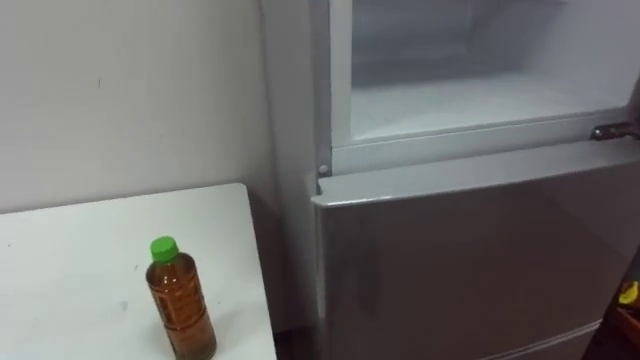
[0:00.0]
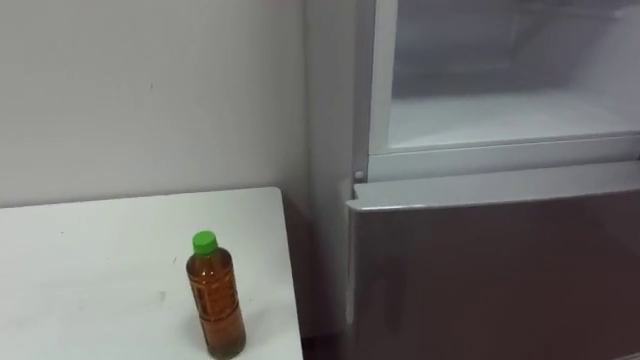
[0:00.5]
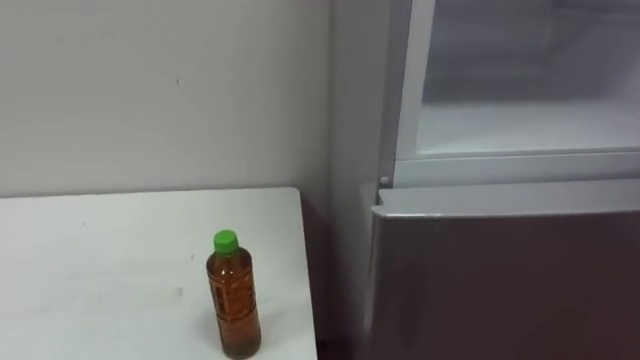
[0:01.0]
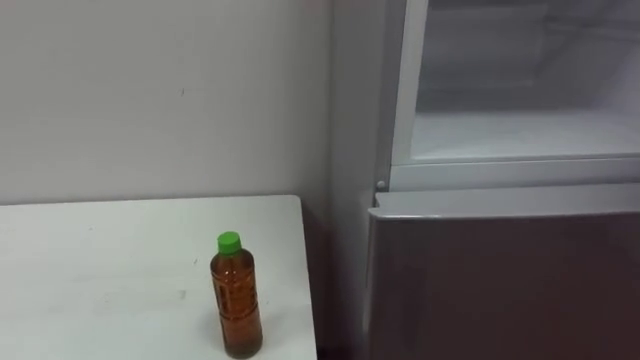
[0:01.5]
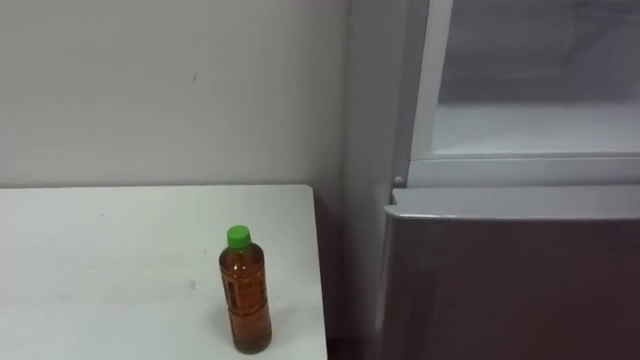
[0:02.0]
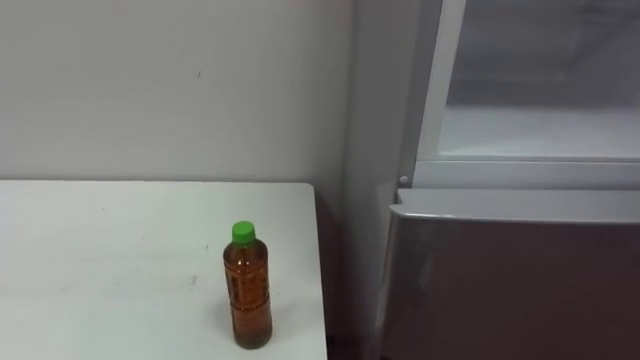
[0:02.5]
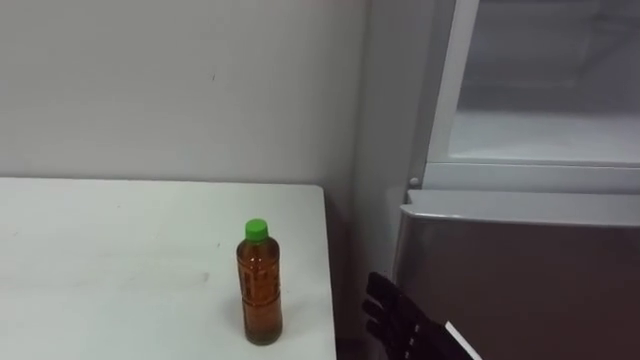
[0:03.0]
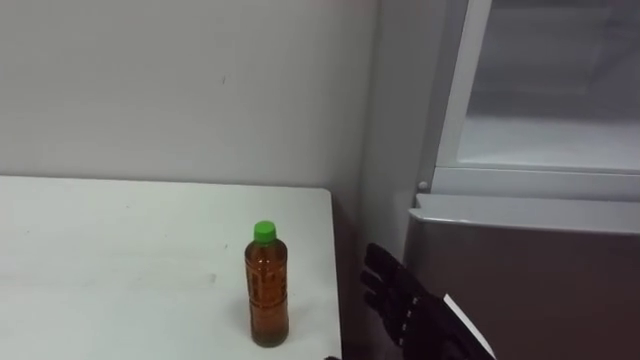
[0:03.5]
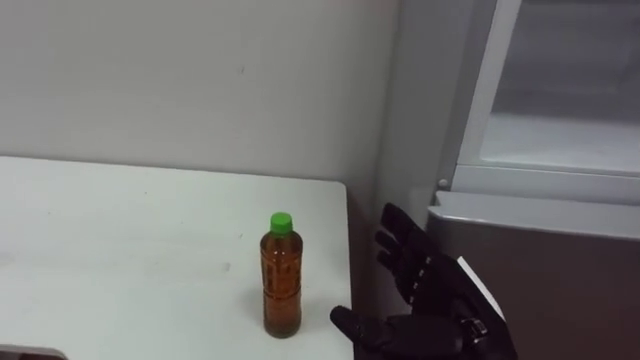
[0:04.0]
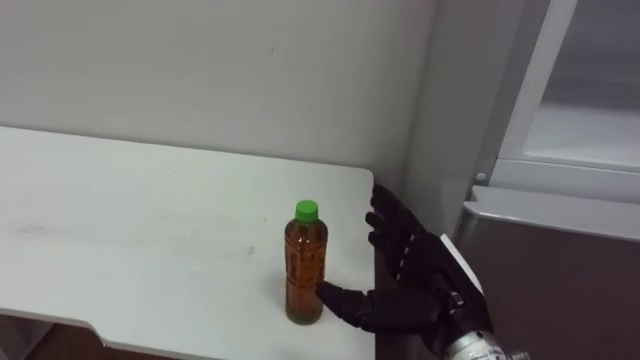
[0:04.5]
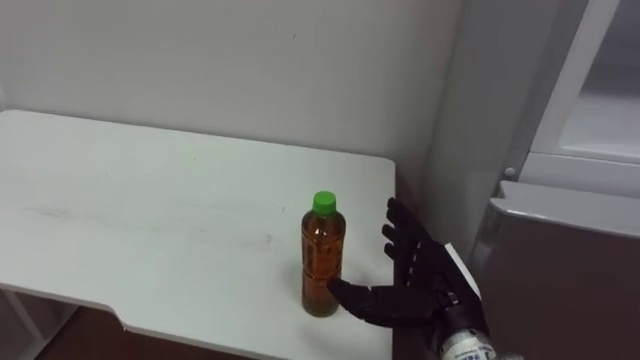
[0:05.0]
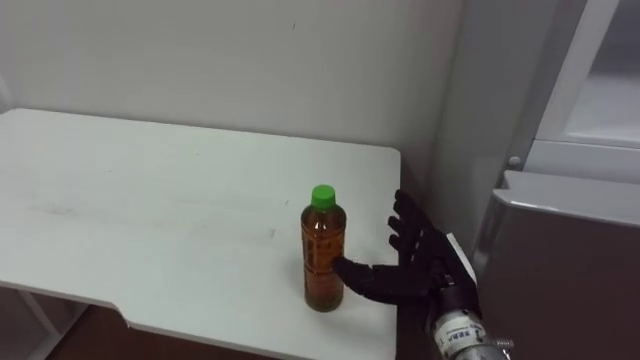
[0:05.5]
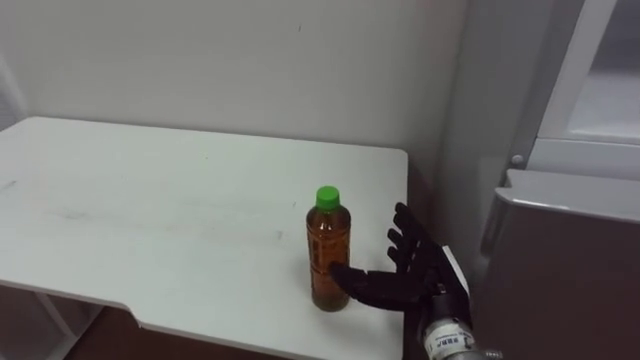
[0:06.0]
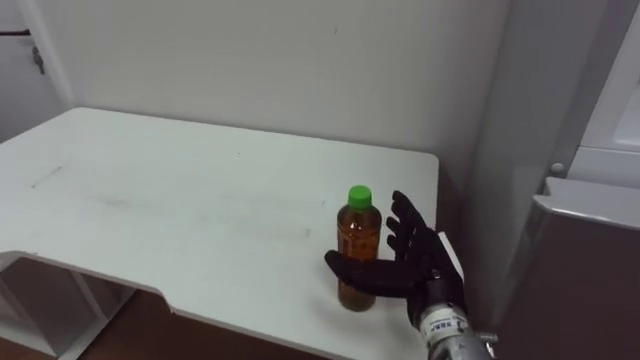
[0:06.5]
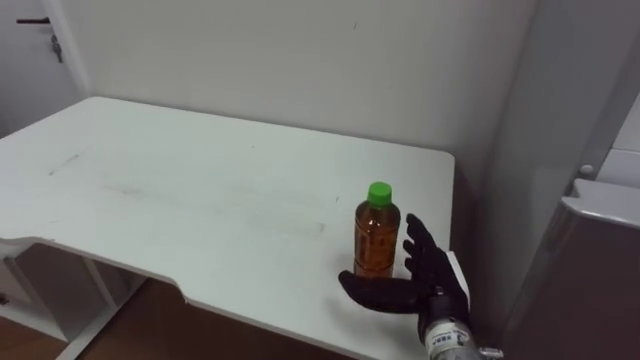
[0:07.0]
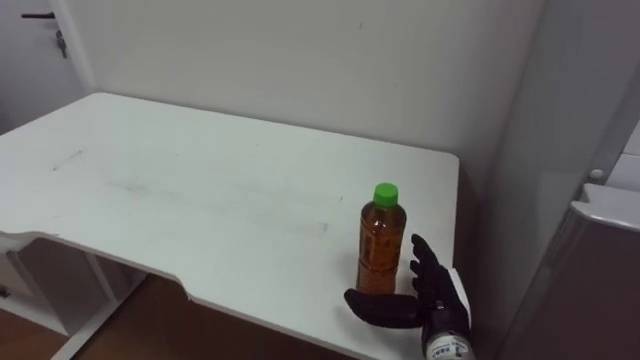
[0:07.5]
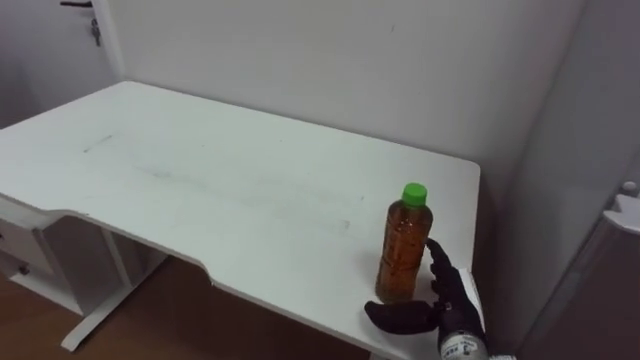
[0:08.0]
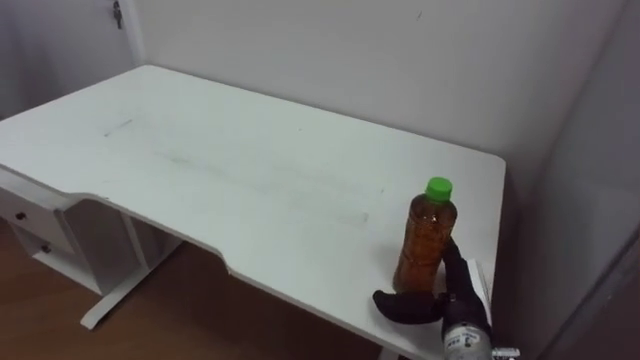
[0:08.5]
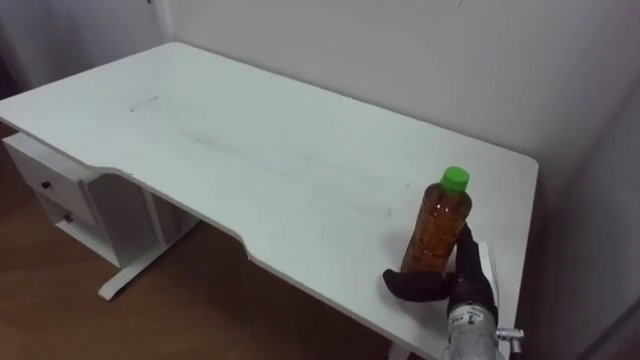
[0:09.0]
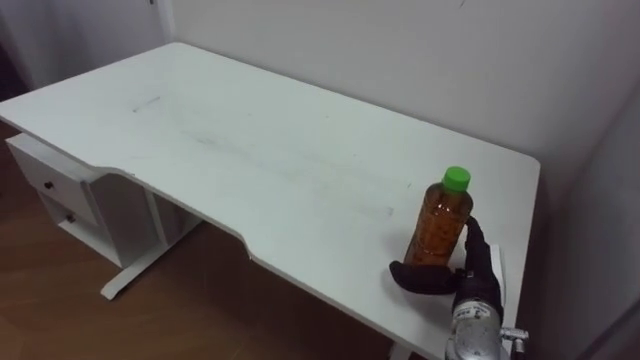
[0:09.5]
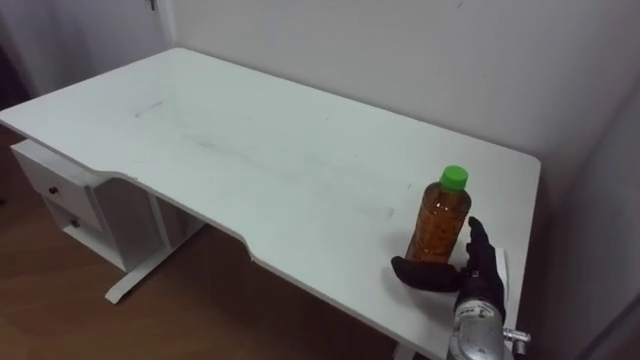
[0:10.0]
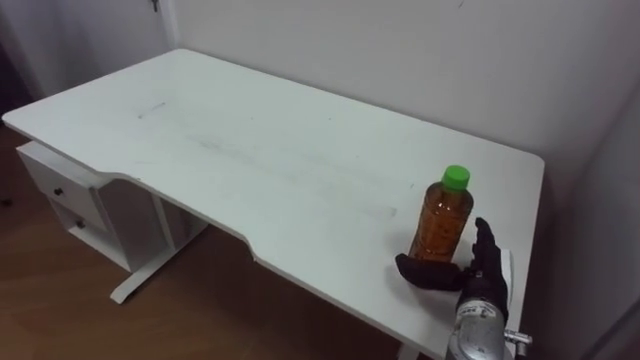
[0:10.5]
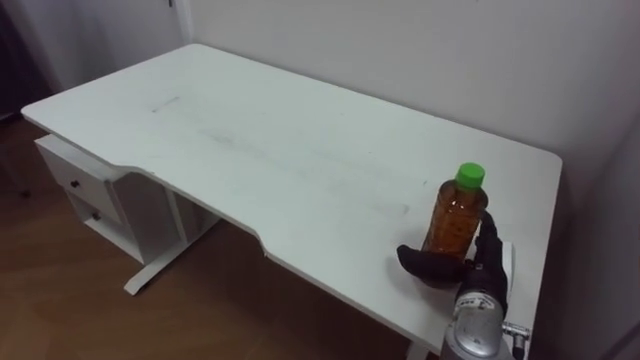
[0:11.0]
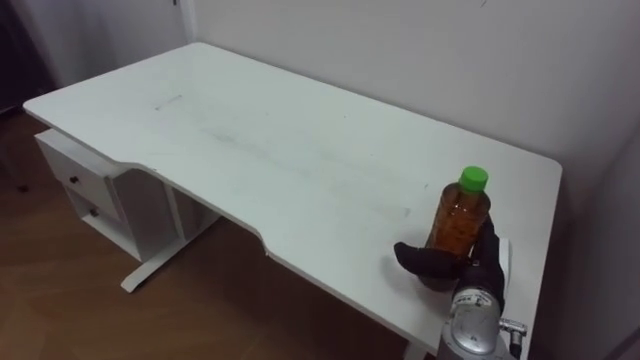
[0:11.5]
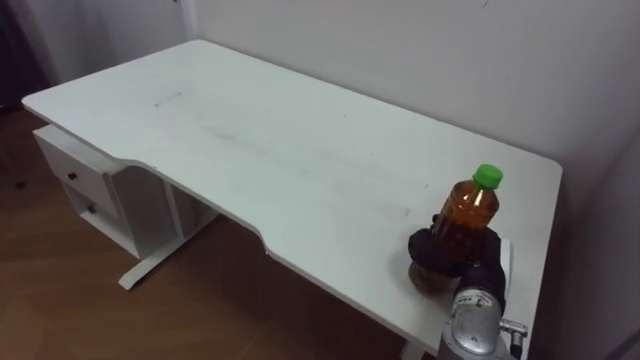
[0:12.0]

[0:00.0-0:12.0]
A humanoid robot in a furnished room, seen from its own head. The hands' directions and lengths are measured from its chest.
Task of the whole recording: Open the upper refrigerator door, put the drink from the table into the refrigerator, and then close the refrigerator door.
0:04.0 to 0:06.0: The right hand is displaced forward by roughly 5 cm.
0:06.0 to 0:08.0: The right hand moves downward, roughly 5 cm.
0:10.0 to 0:12.0: The right hand closes its fingers.

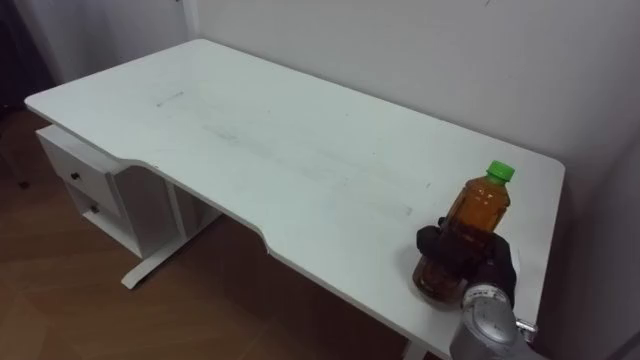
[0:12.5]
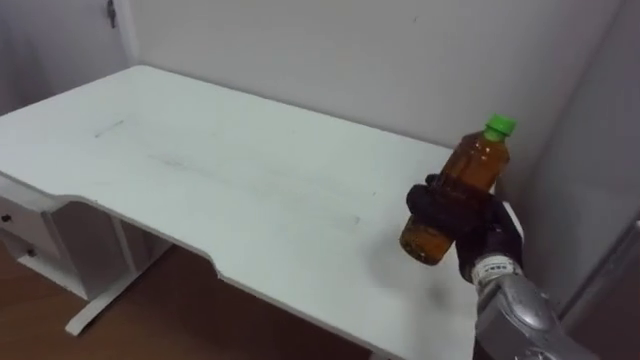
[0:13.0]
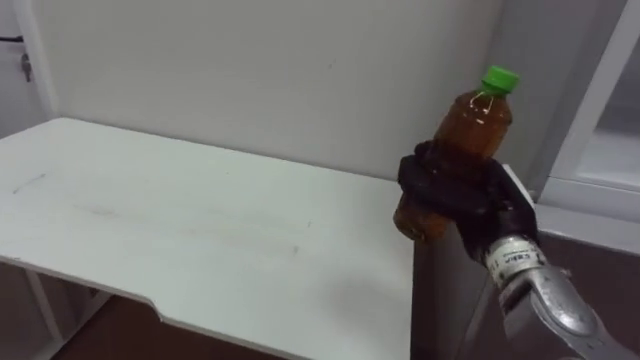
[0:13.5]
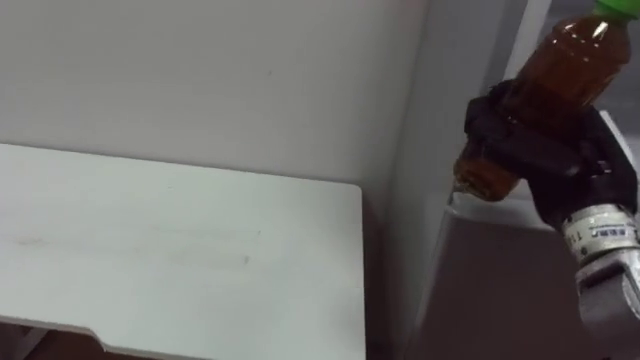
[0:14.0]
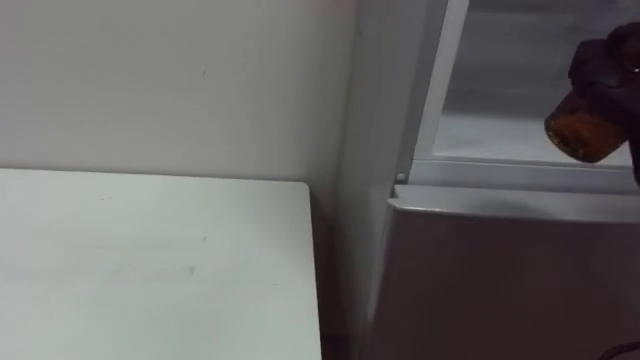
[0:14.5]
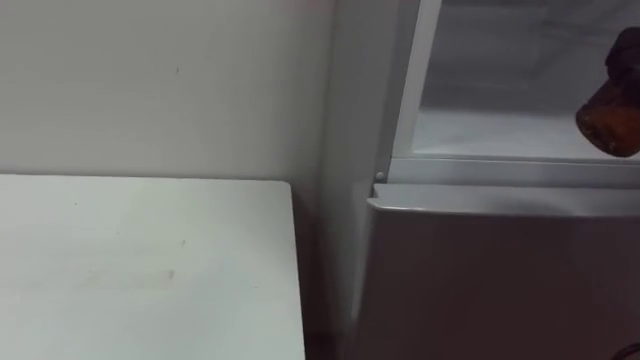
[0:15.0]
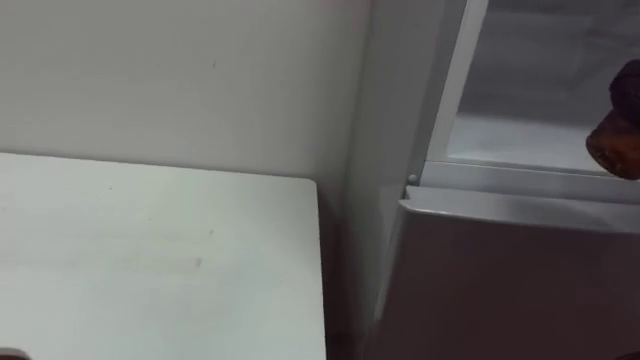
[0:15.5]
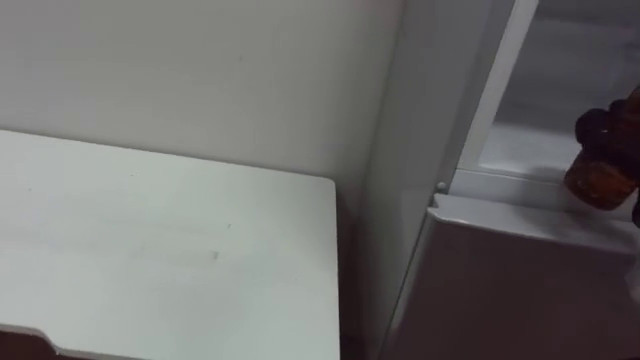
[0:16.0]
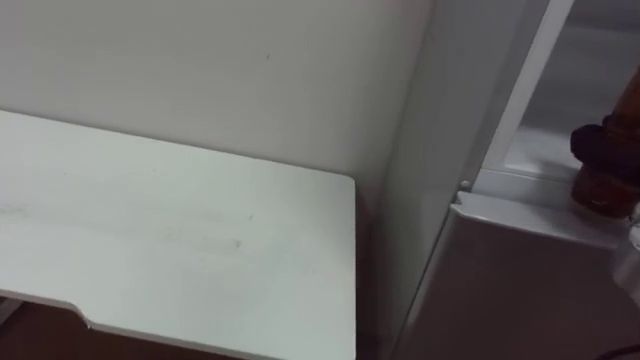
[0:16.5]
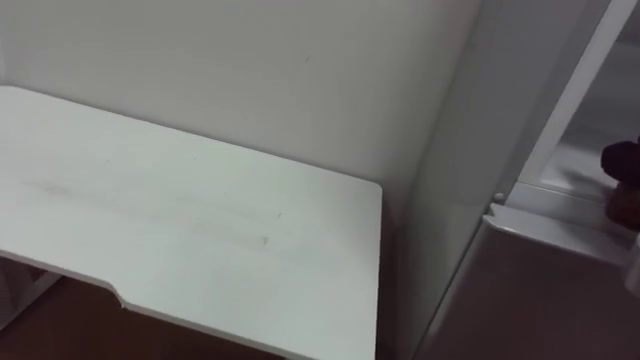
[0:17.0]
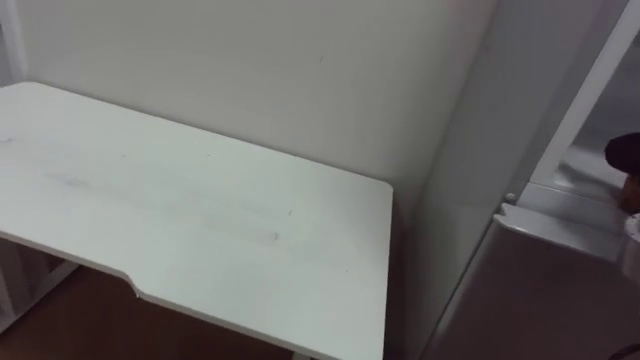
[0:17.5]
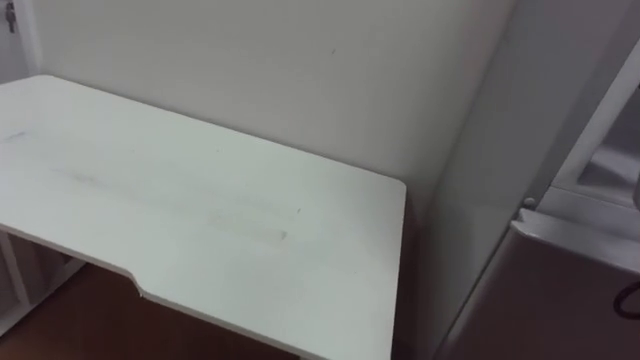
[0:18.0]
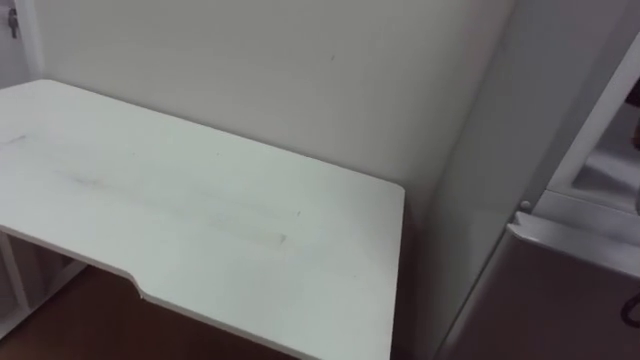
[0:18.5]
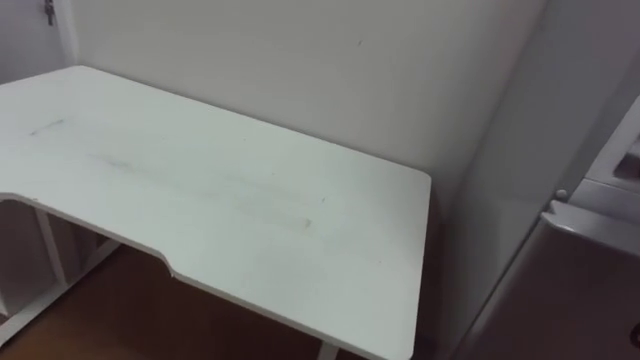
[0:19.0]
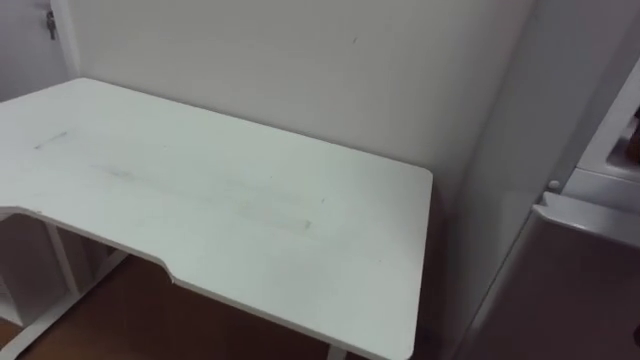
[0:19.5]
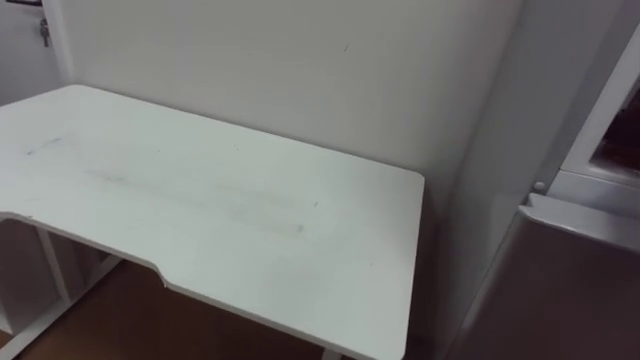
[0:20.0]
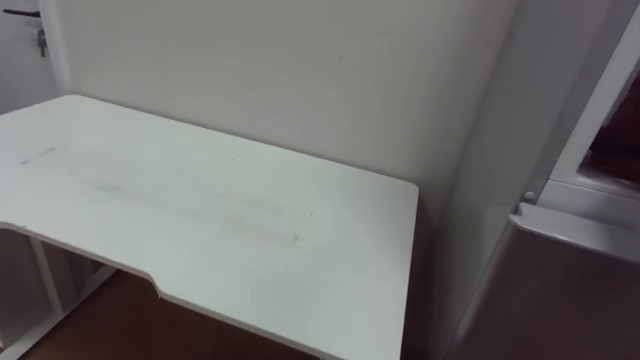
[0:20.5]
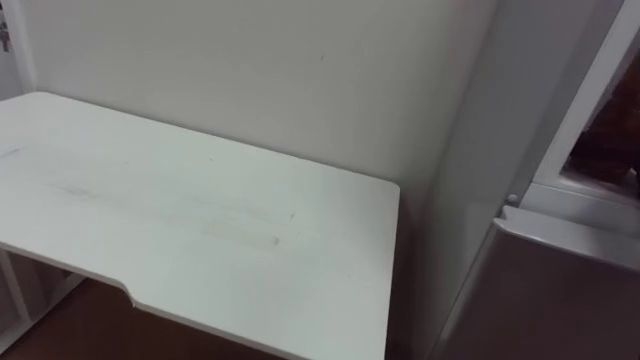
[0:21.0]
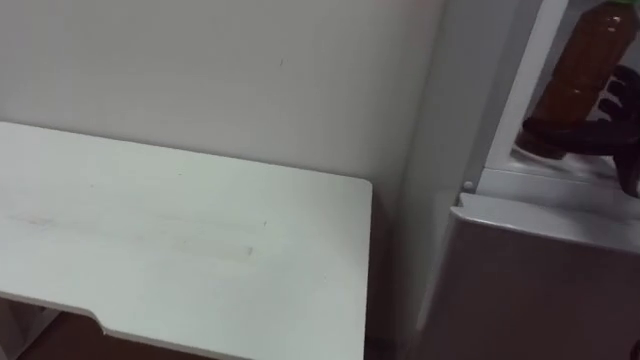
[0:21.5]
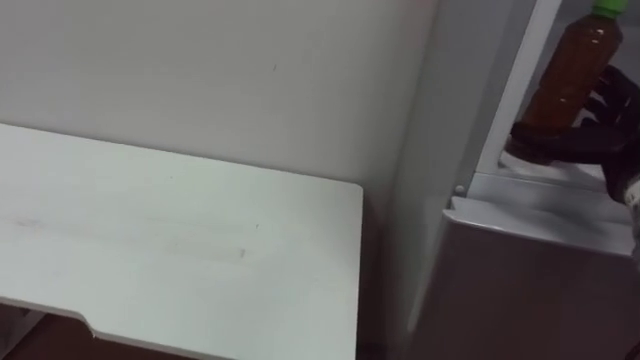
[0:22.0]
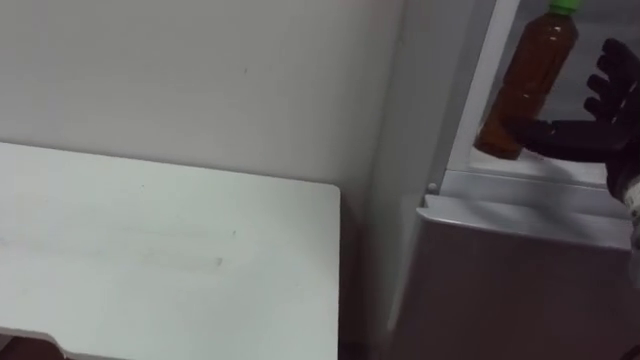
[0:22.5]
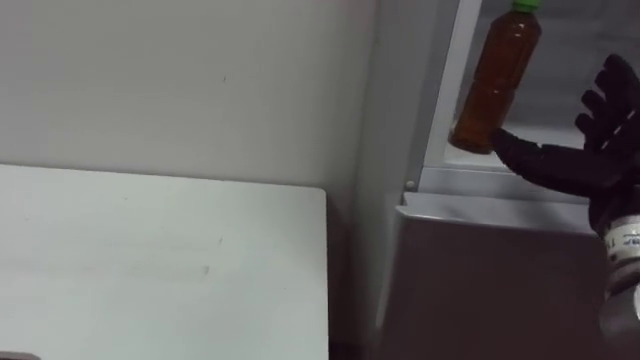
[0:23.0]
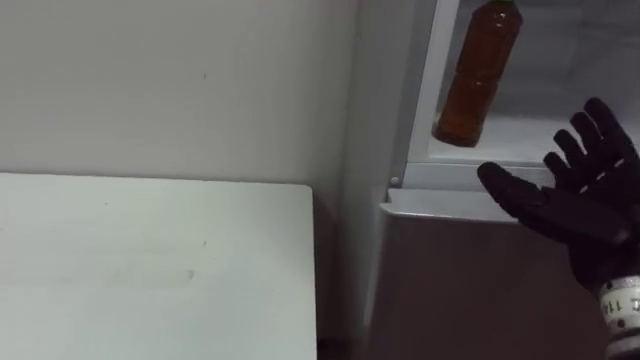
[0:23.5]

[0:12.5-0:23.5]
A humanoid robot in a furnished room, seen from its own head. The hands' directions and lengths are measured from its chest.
Task of the whole recording: Open the upper refrigerator door, put the drink from the table into the refrigerator, and then close the refrigerator door.
0:21.5 to 0:23.5: The right hand is displaced backward and to the left by approximately 15 cm.
